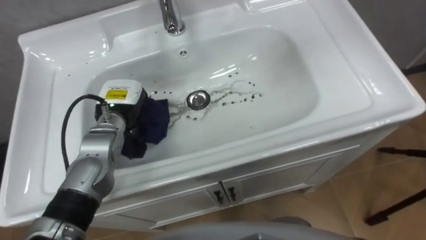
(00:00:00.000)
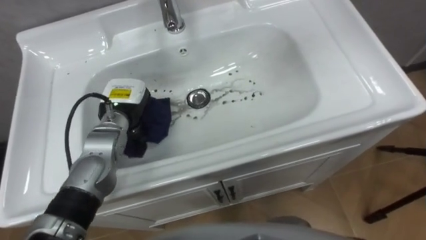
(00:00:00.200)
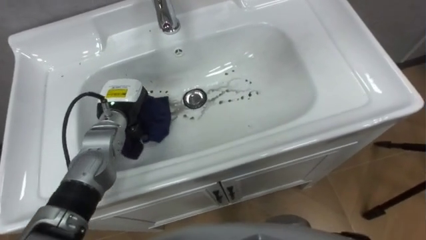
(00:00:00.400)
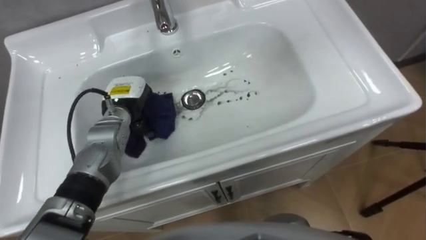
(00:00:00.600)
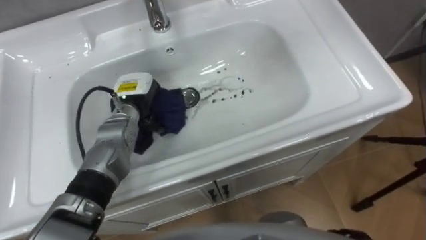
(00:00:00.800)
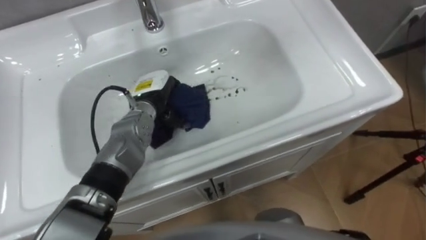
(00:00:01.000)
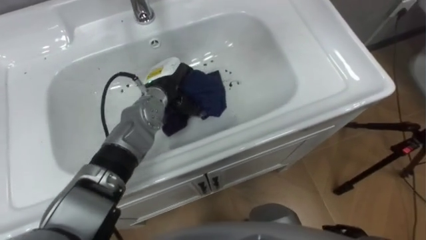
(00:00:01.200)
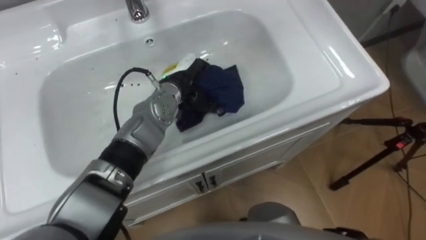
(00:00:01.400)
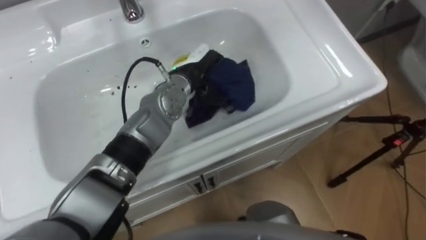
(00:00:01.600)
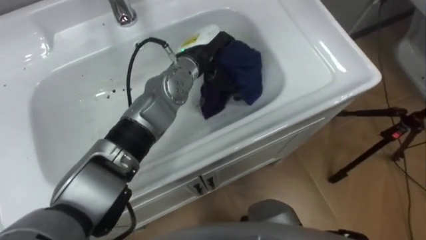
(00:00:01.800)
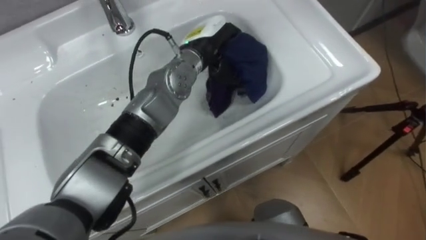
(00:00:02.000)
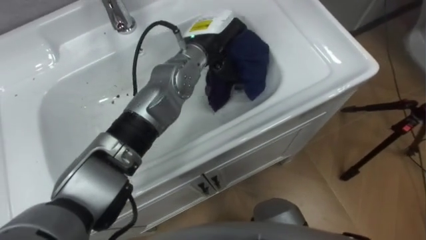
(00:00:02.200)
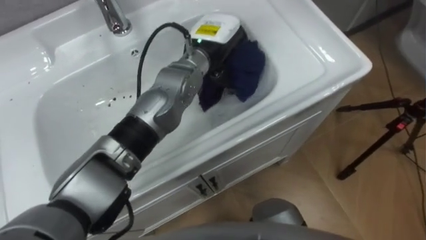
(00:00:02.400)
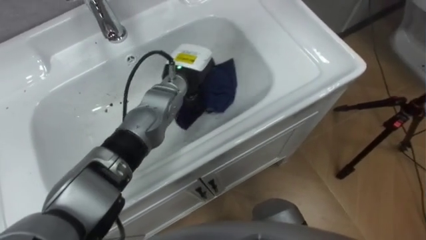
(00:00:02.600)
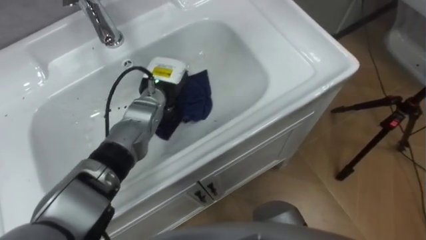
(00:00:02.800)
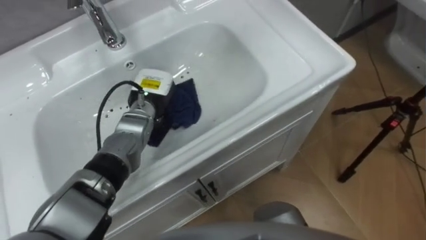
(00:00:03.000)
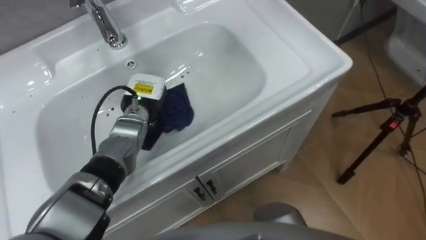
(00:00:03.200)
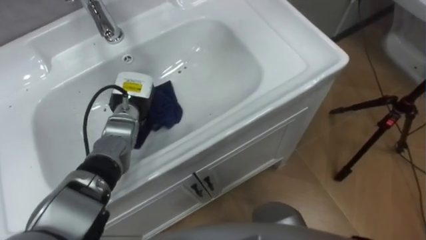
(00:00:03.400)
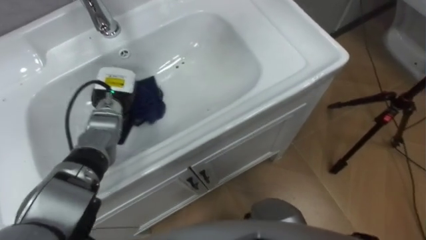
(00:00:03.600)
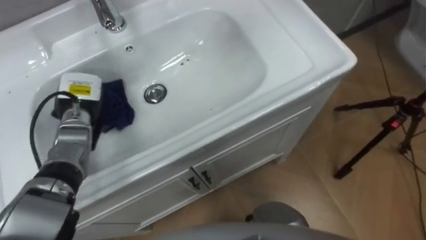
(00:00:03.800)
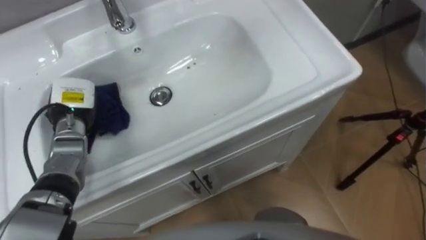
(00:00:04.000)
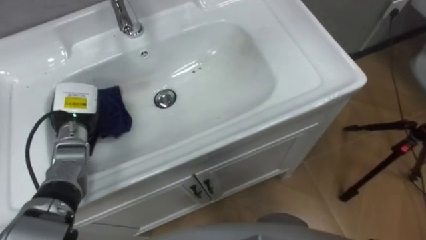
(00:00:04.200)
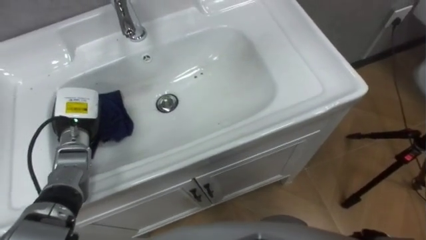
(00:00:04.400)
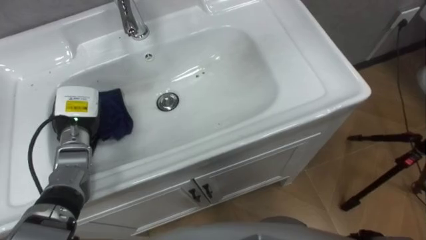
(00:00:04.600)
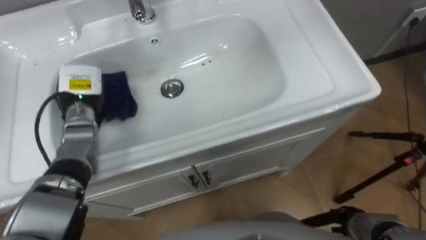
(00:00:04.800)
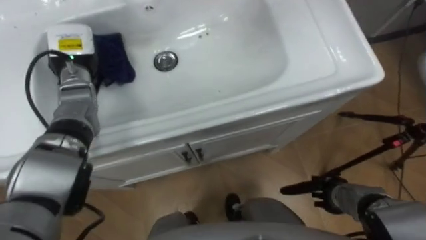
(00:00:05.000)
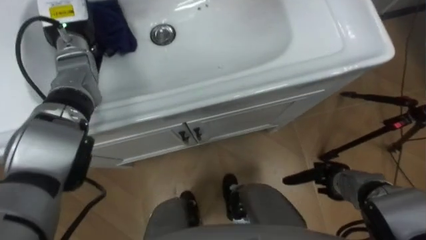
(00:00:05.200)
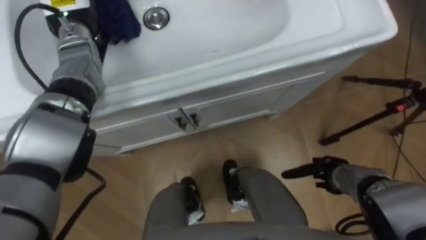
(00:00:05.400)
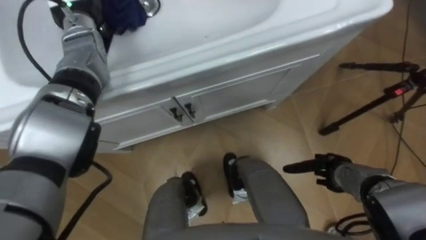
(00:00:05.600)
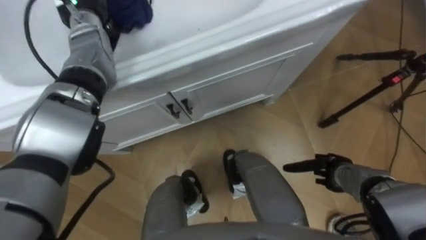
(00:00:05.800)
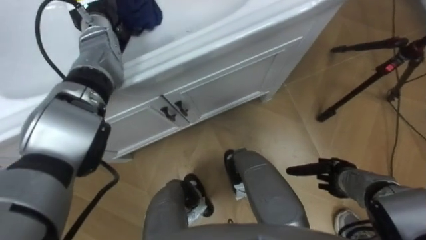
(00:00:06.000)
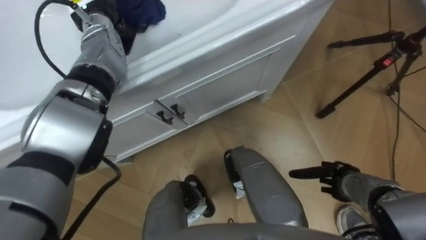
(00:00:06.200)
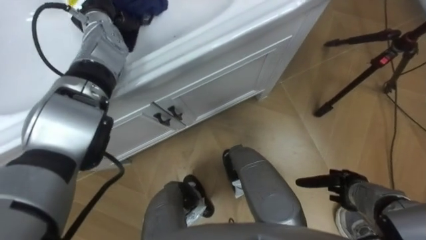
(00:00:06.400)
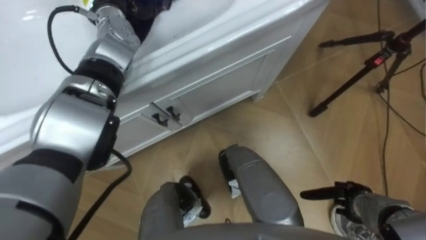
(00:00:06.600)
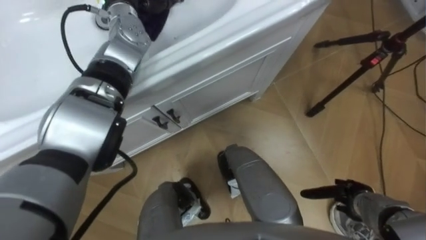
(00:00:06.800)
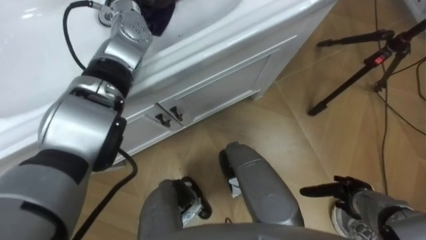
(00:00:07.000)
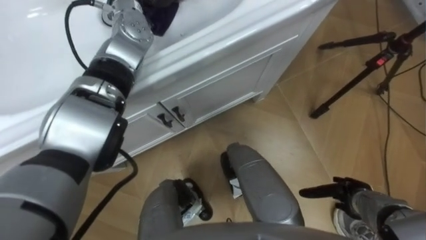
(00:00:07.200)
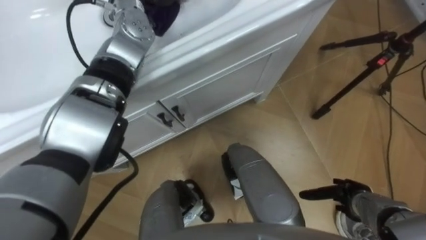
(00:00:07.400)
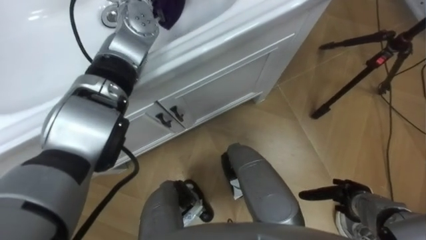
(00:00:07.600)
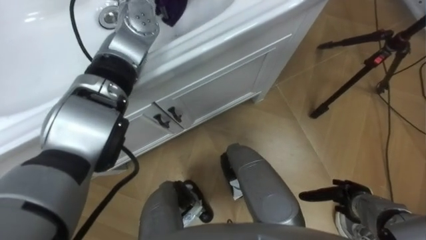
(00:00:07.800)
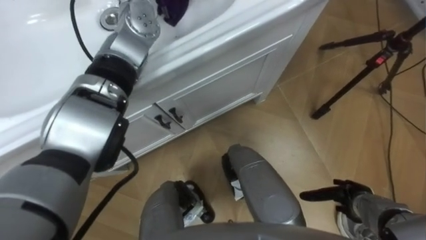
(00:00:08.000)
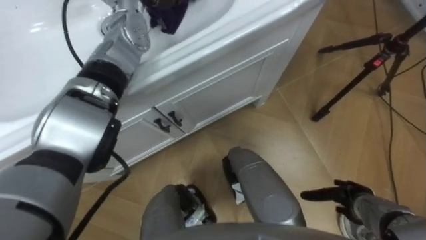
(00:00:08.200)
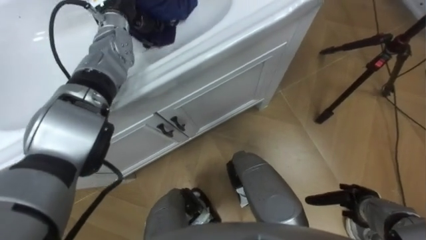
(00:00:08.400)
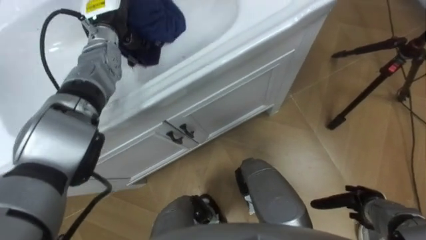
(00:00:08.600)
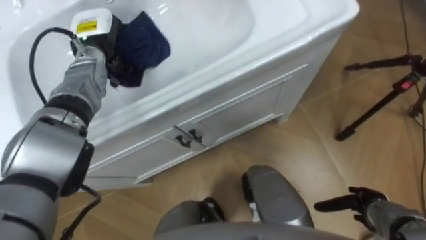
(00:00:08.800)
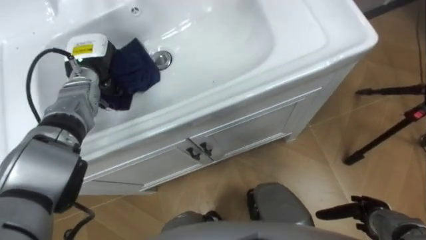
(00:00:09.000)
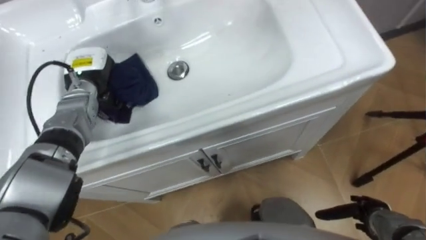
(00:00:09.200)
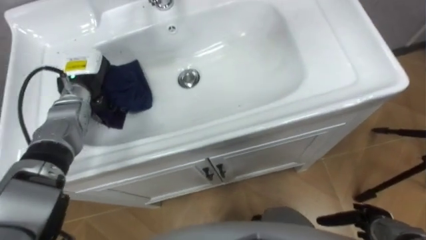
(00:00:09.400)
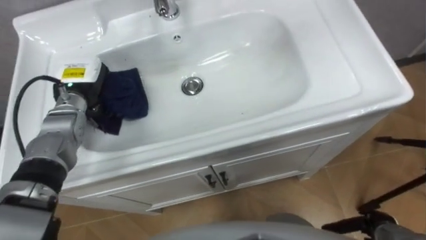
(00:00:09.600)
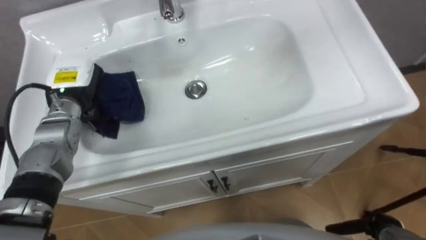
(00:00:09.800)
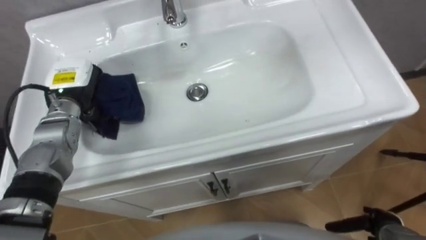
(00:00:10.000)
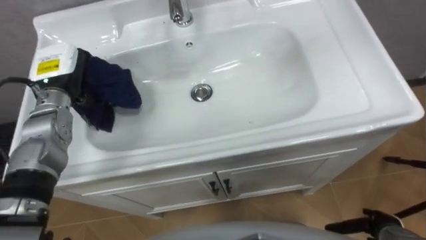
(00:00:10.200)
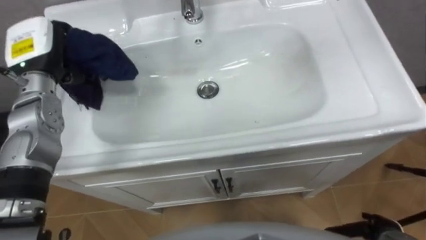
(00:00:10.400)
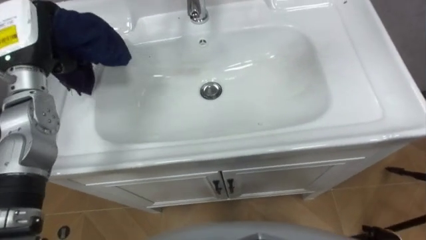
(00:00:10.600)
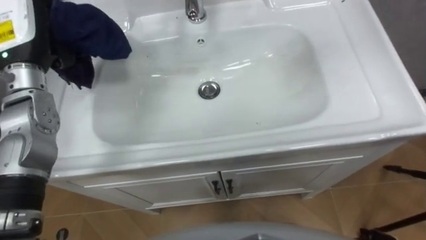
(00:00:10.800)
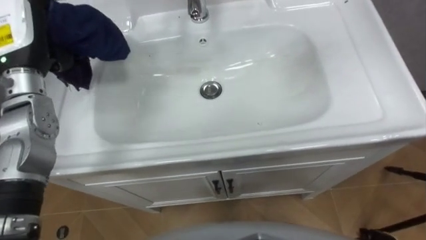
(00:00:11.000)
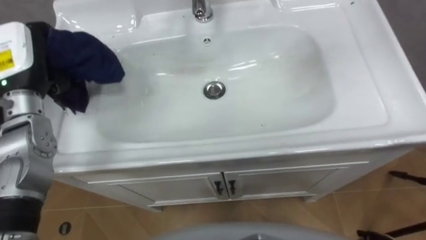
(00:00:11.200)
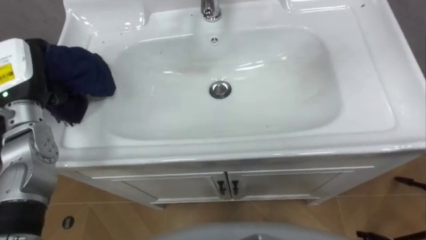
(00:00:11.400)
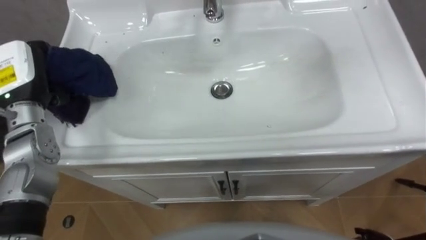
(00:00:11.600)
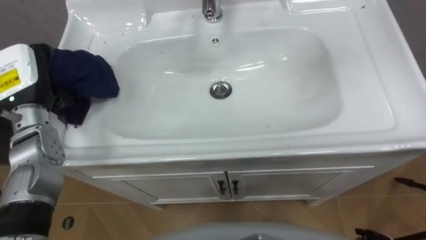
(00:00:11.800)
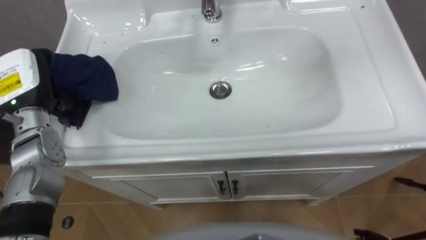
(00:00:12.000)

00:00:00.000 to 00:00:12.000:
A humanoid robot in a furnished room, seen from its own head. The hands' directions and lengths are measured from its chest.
Task of the whole recording: Use the cloth on the right to wipe away the black stain in the sink.
00:00:00.000 to 00:00:01.600: The left hand shifts some 15 cm to the right.
00:00:01.600 to 00:00:03.000: The left hand moves to the left and downward, roughly 10 cm.
00:00:03.000 to 00:00:04.400: The left hand moves to the left, some 15 cm.
00:00:06.000 to 00:00:07.600: The right hand moves backward, about 5 cm.
00:00:09.000 to 00:00:10.400: The left hand is displaced upward, backward and to the left by roughly 10 cm.
00:00:10.400 to 00:00:12.000: The left hand is displaced backward by approximately 5 cm.

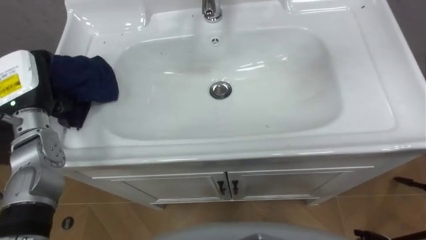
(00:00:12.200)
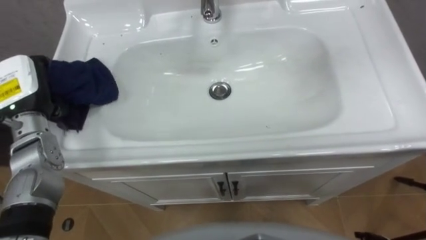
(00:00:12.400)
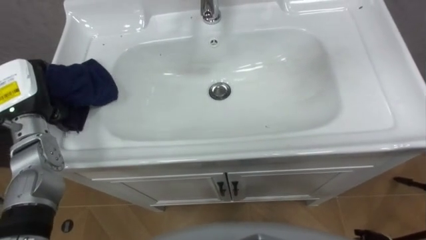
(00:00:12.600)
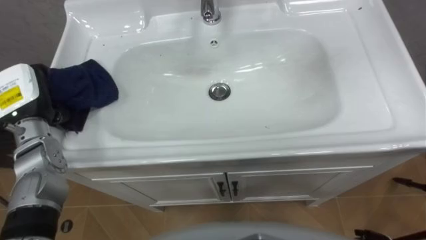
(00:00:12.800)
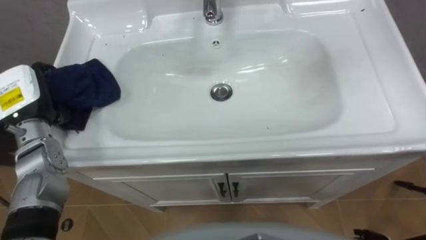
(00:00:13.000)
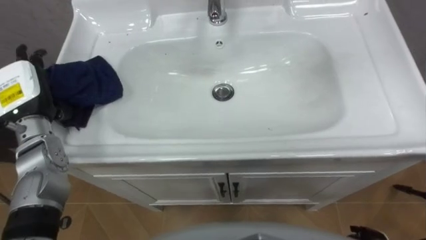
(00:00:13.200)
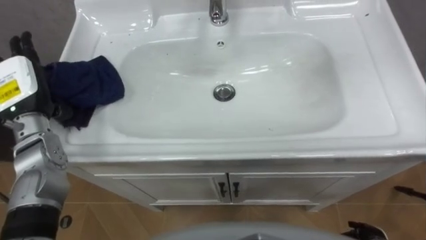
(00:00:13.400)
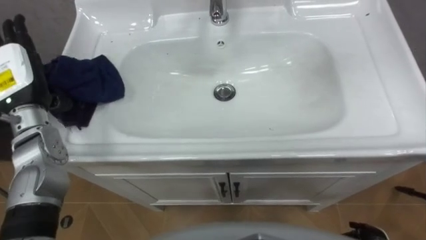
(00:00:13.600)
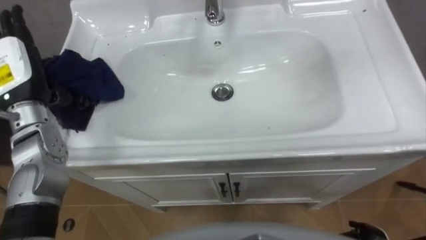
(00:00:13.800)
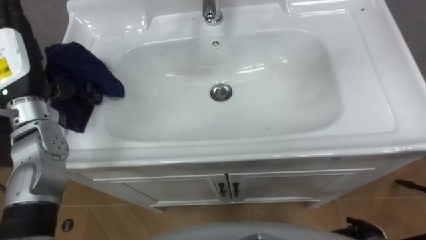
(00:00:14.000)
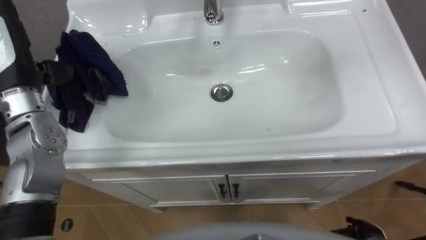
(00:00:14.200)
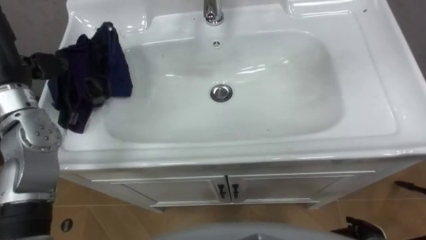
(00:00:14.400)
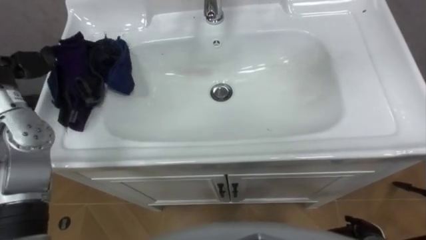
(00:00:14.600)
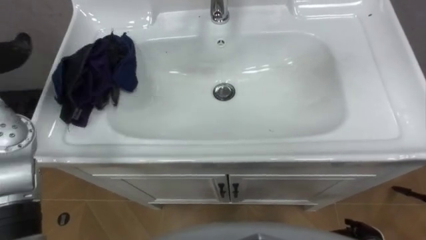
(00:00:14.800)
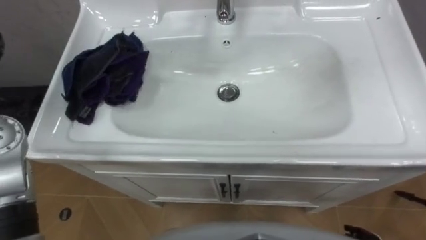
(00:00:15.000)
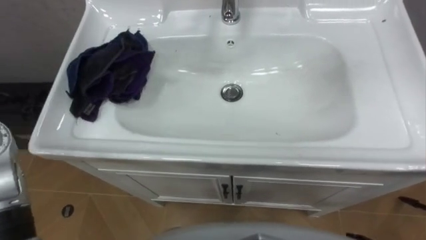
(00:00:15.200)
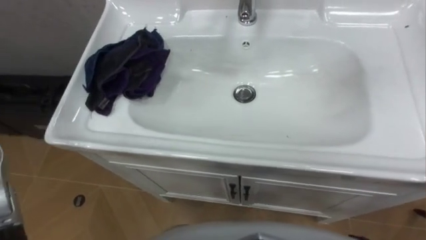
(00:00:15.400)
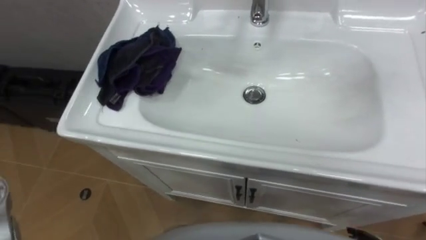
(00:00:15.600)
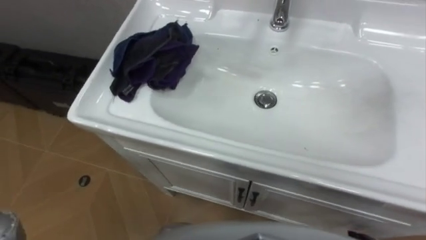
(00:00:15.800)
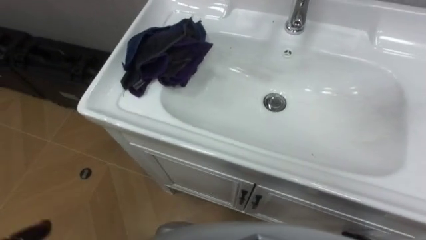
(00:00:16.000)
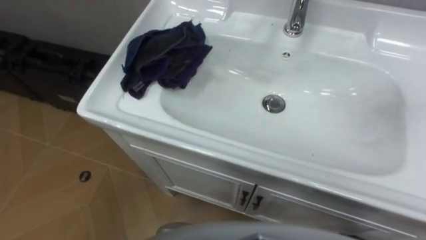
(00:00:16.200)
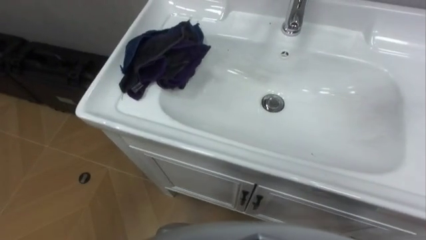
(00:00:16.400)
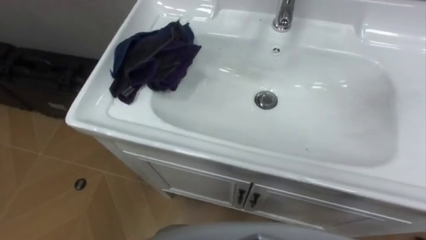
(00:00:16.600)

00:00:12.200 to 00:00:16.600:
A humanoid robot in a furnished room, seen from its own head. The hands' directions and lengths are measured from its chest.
Task of the whole recording: Use the cloth on the right to wipe away the black stain in the sink.
00:00:12.200 to 00:00:13.600: The left hand opens up.
